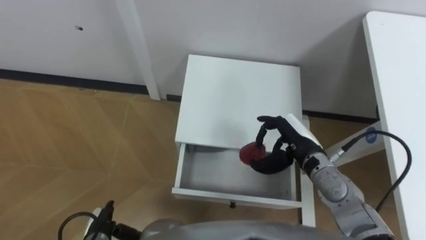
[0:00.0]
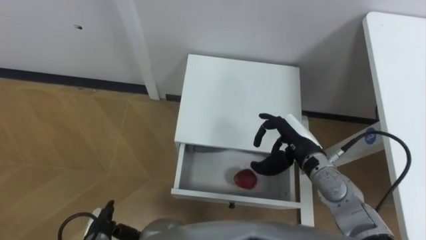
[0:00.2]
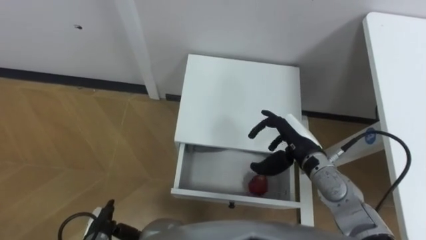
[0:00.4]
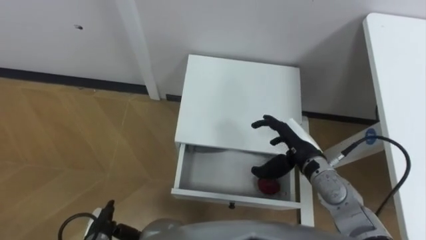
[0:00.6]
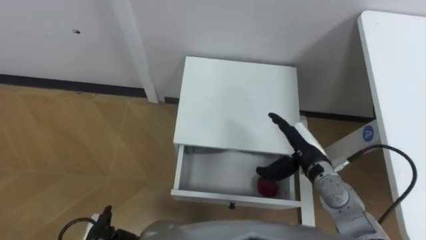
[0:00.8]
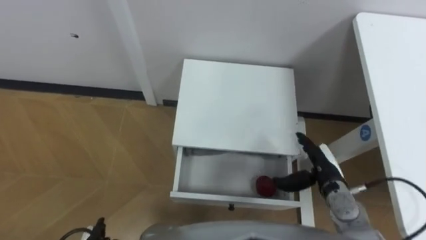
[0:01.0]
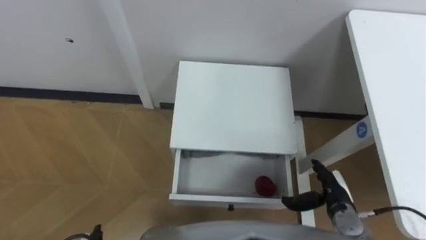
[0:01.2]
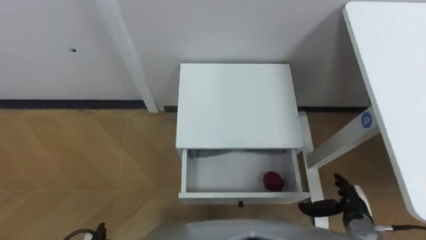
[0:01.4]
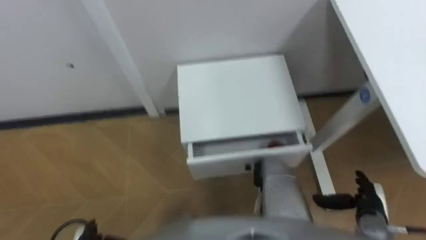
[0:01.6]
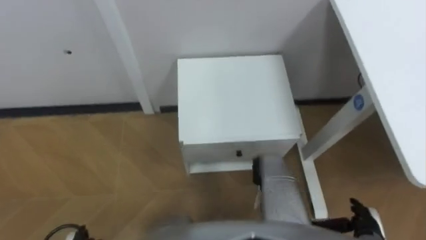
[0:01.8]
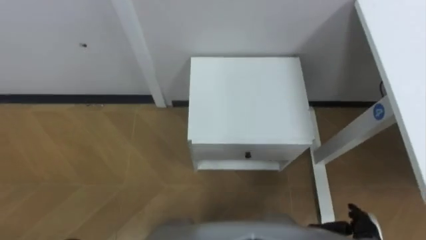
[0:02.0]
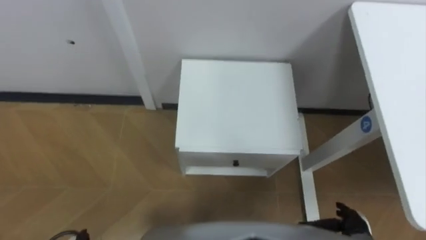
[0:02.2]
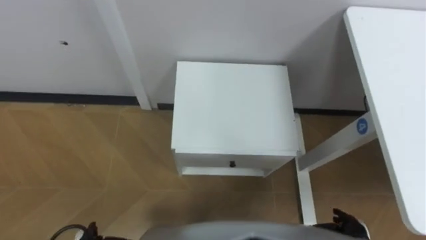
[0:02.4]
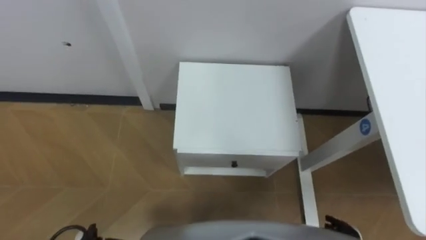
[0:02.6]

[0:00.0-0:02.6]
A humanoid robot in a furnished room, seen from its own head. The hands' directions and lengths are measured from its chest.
Task of the whole recording: Pick up the apple from the table, put it in the drawer, and close the drawer with leg.
0:00.0 to 0:01.2: The right hand moves downward, backward and to the right, roughly 15 cm, and opens up.
0:01.2 to 0:02.6: The right hand goes some 10 cm backward.

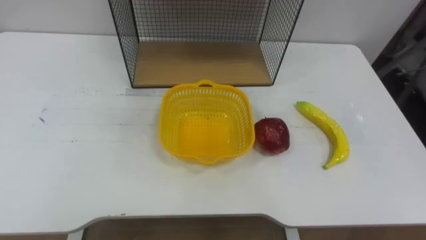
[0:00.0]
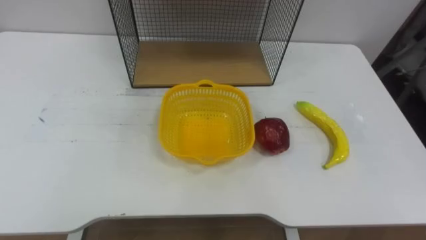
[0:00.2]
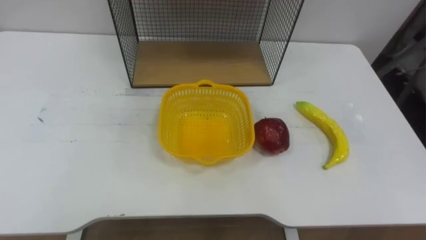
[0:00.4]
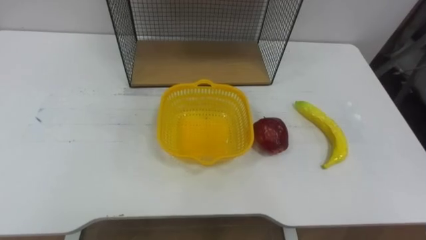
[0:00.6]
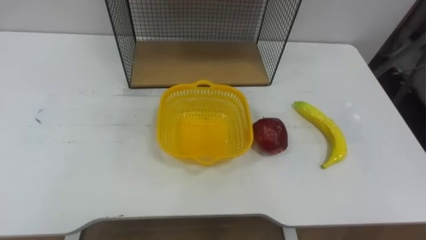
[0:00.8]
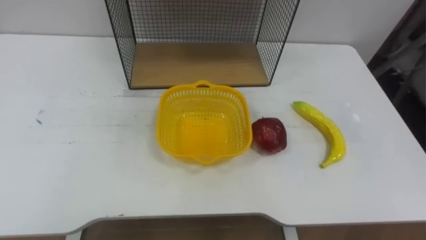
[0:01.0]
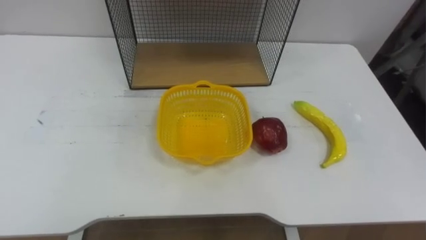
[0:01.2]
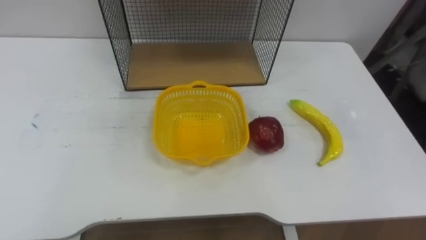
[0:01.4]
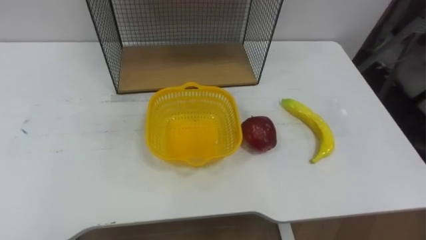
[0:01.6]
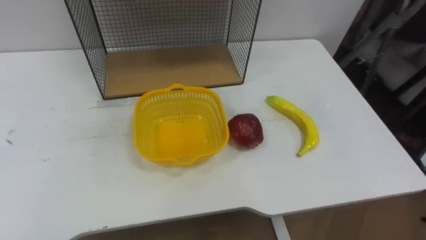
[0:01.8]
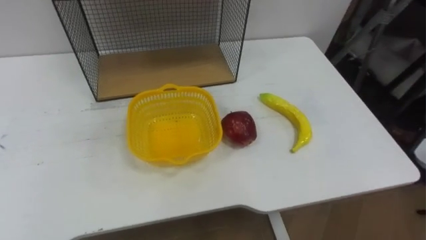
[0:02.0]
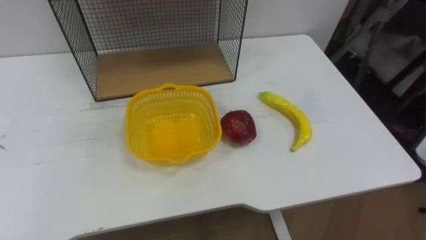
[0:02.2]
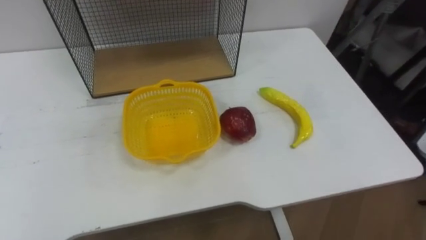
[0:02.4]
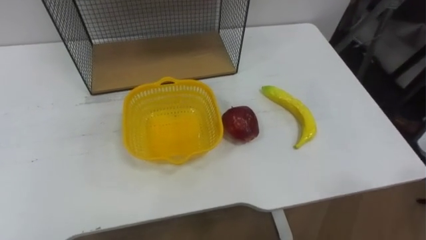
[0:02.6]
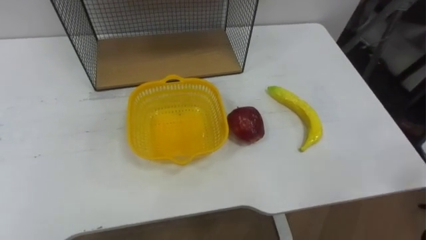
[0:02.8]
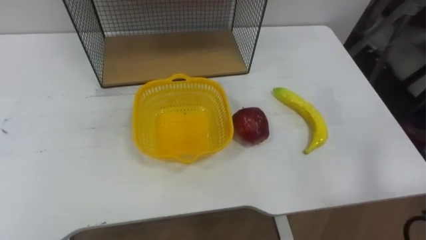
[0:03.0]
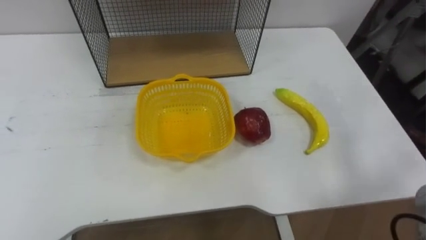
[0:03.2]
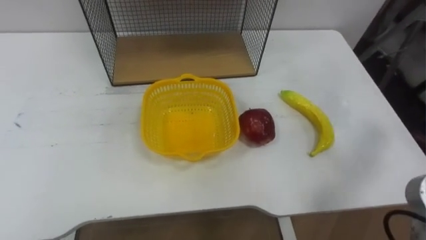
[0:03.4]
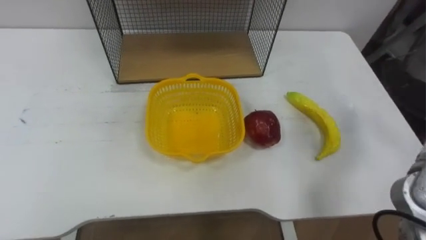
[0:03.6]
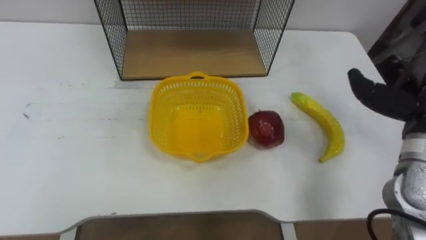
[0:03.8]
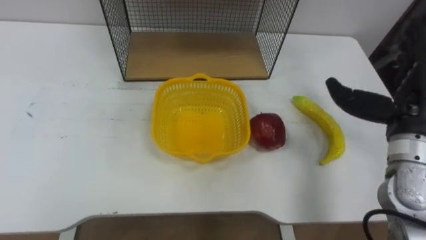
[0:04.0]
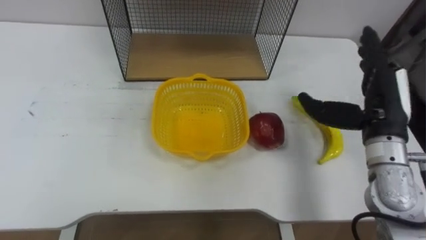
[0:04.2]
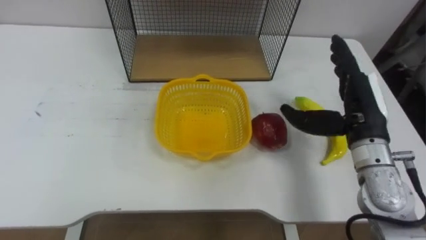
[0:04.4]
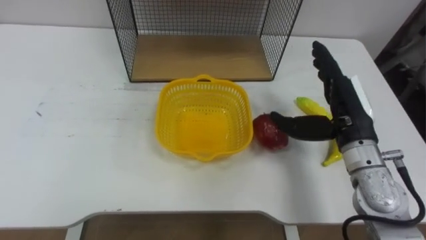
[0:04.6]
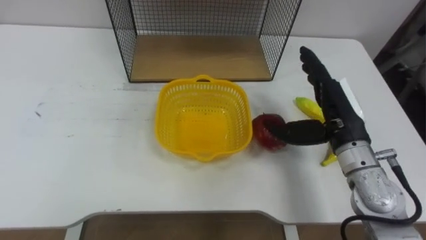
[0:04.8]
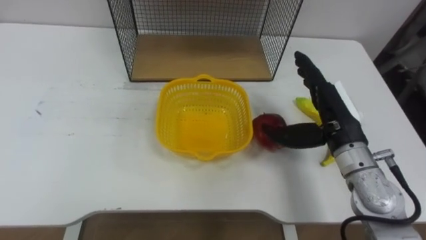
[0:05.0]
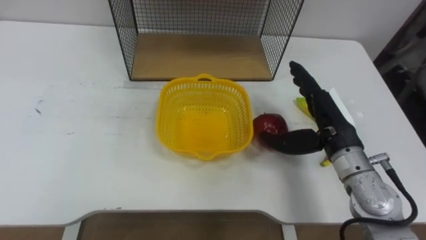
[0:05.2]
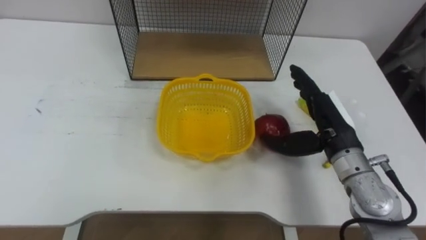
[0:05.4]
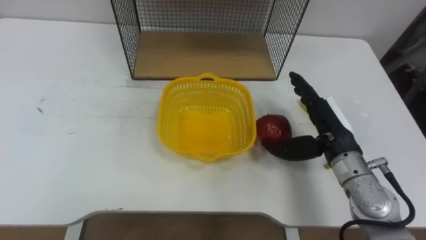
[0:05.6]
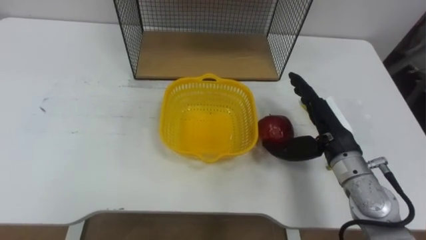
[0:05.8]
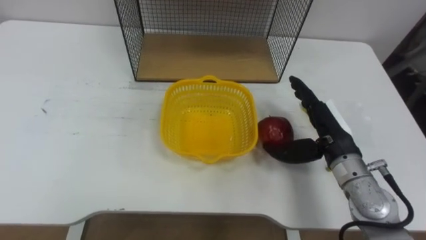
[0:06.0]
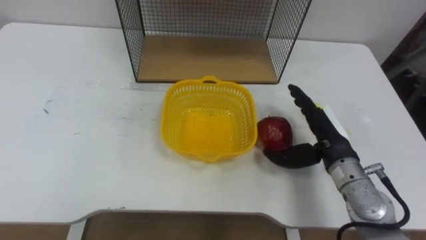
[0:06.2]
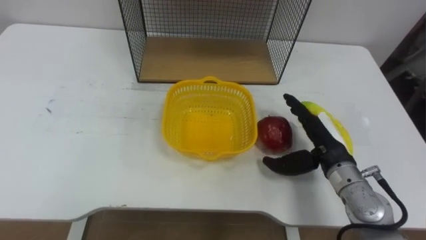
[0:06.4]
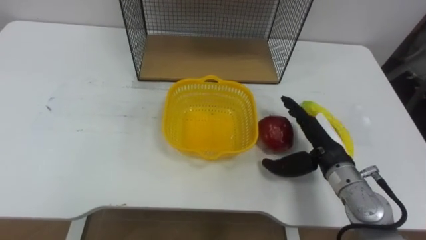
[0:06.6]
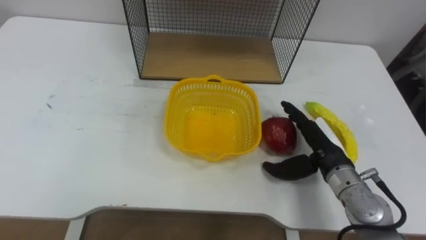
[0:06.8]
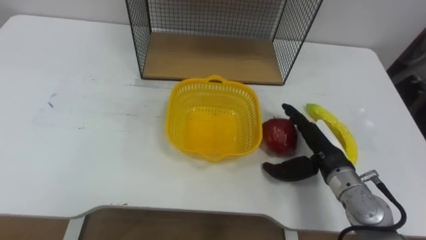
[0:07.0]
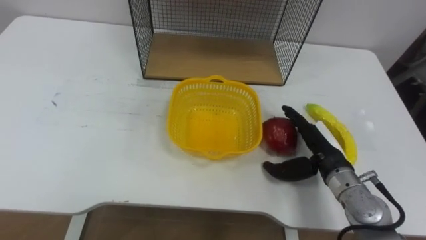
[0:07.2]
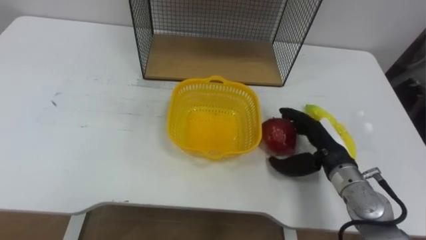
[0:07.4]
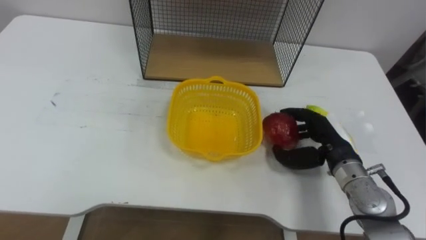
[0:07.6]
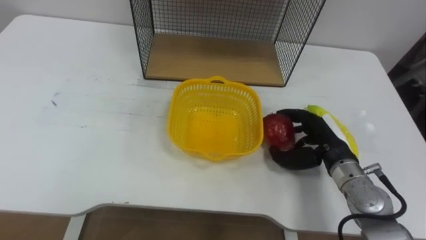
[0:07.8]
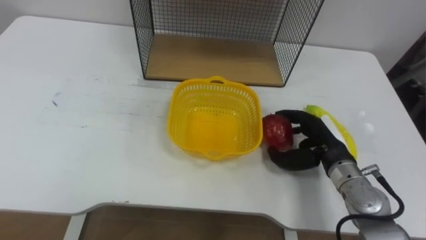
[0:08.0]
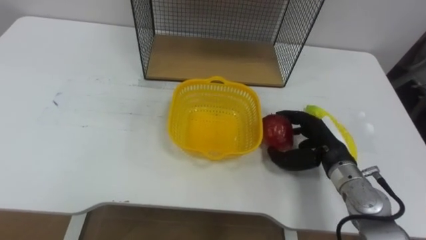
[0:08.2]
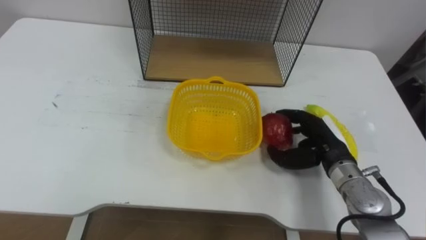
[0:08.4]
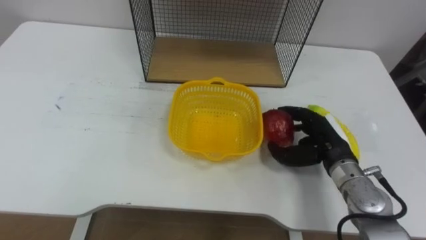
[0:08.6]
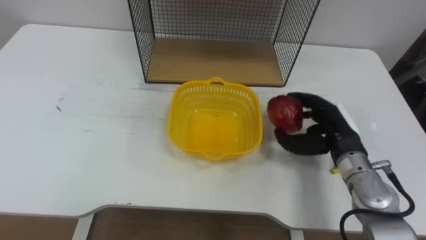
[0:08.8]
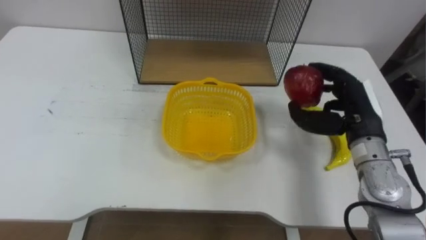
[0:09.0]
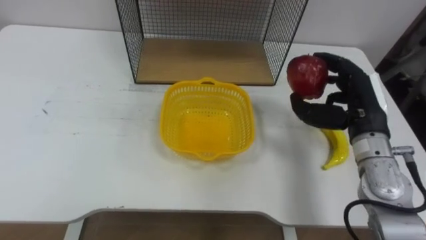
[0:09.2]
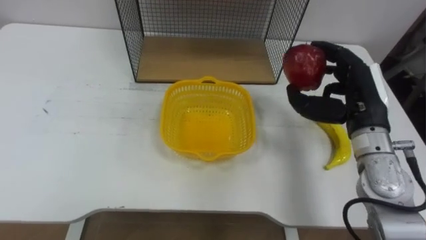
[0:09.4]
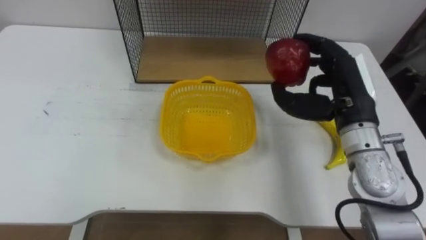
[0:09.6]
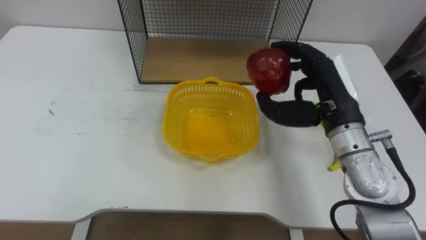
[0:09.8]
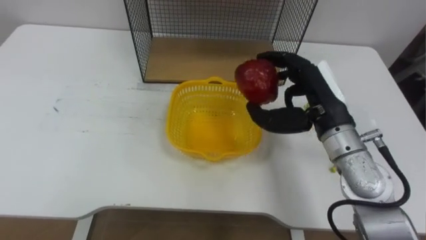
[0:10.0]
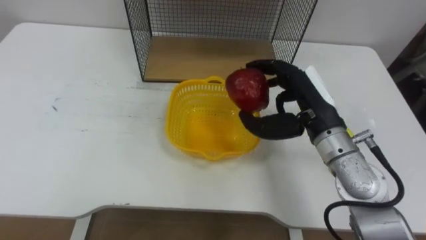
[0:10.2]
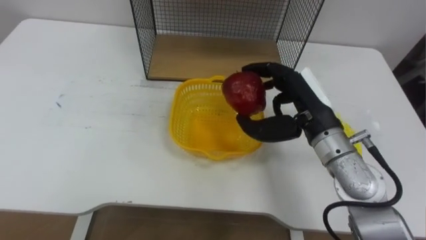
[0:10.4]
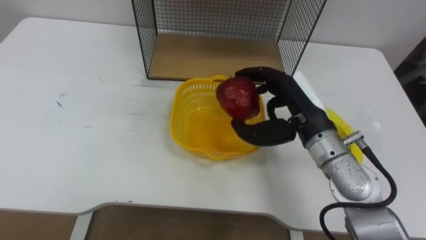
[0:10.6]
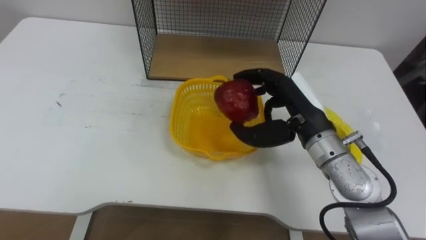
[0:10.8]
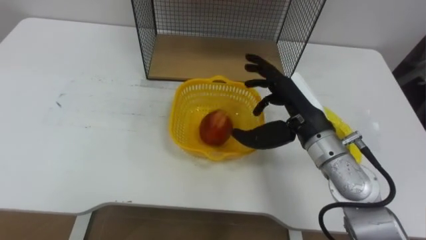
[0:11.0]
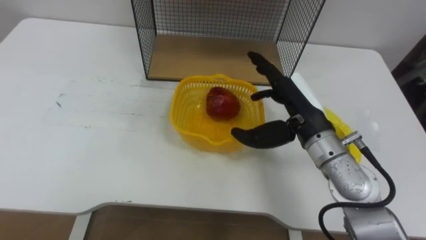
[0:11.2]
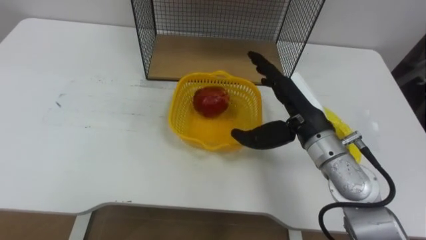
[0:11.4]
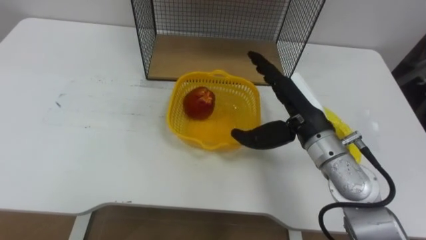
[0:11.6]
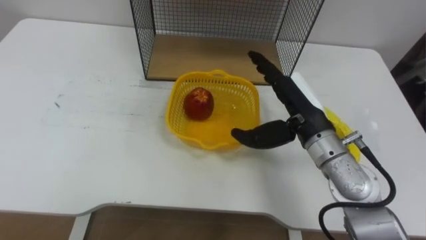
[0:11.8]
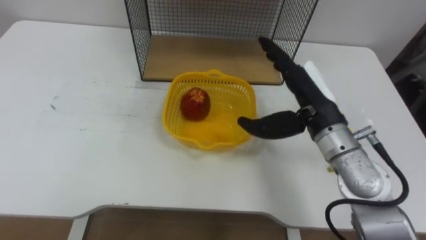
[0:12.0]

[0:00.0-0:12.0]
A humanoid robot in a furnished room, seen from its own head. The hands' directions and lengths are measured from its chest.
Task of the whole recording: Put the fruit on the table into the basket, then place the basket on the shelf.
0:04.4 to 0:06.0: The right hand travels downward by roughly 5 cm.
0:06.0 to 0:07.6: The right hand closes up.
0:07.6 to 0:09.0: The right hand travels upward by about 5 cm.
0:09.0 to 0:10.4: The right hand travels to the left by roughly 10 cm.
0:10.4 to 0:12.0: The right hand opens up.

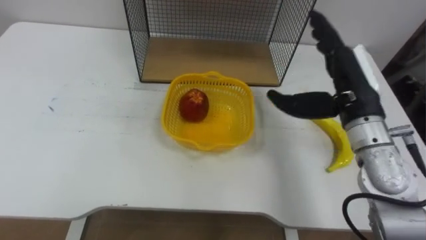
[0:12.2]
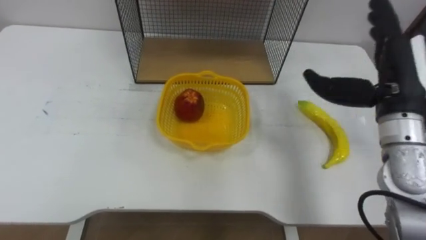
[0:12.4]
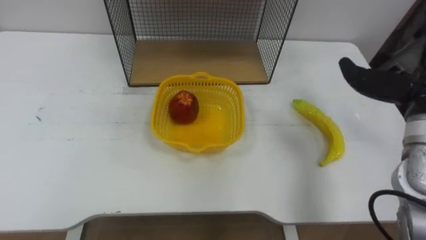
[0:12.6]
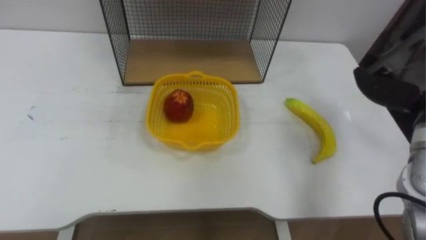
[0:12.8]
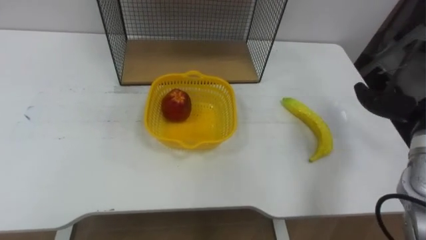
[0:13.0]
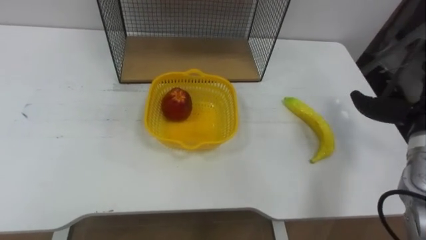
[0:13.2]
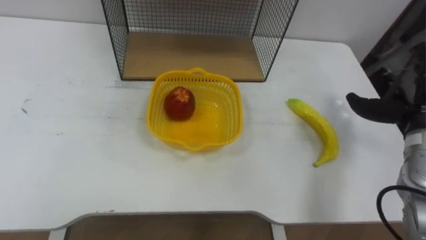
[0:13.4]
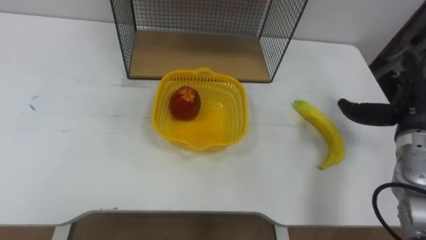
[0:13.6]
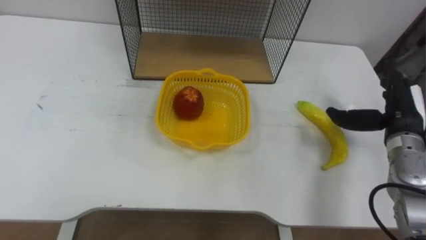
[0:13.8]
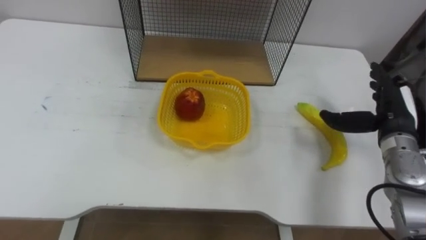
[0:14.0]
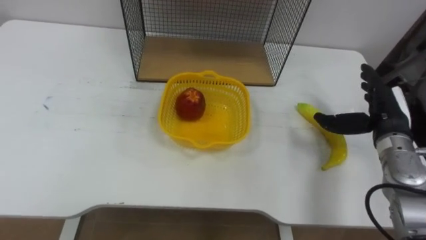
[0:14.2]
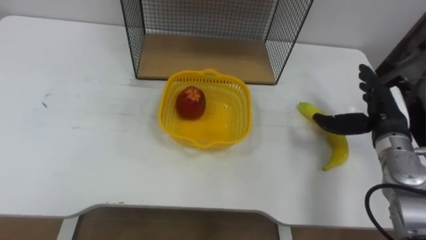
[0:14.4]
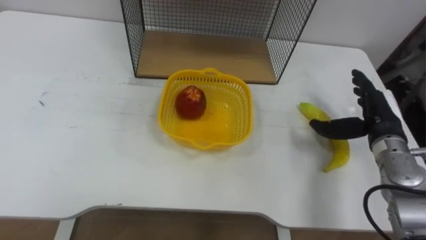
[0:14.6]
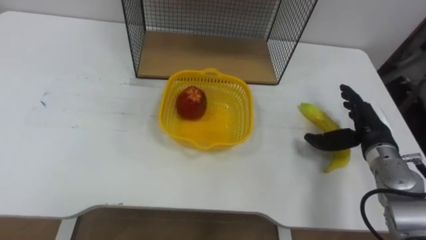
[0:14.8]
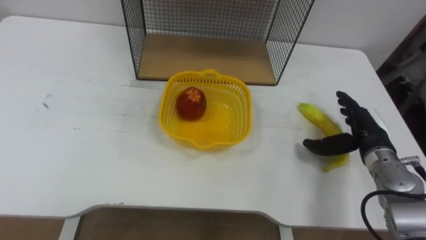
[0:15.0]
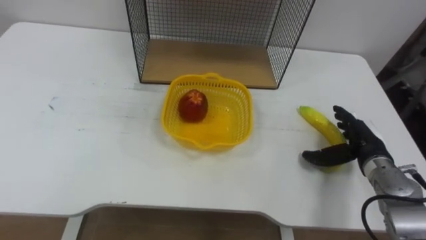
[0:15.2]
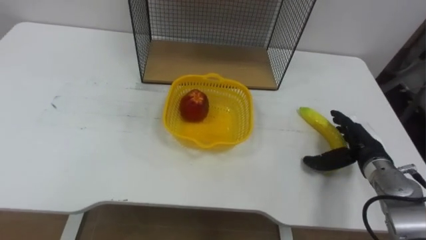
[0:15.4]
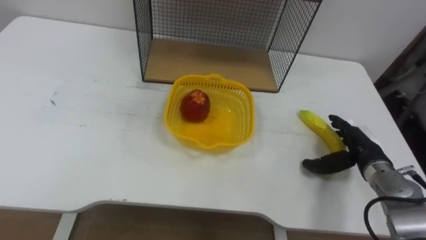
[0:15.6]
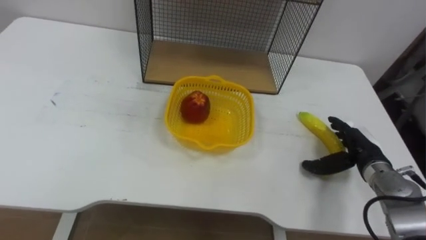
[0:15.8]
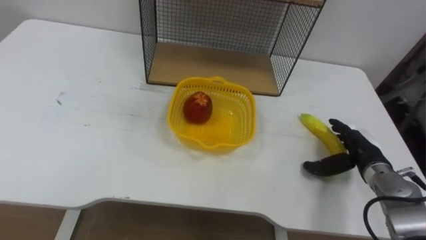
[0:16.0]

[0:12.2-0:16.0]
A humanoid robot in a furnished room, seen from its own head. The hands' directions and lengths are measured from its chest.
Task of the whole recording: Put the fruit on the table into the basket, then place the basket on the shelf.
0:14.8 to 0:16.0: The right hand is displaced downward by some 5 cm.
